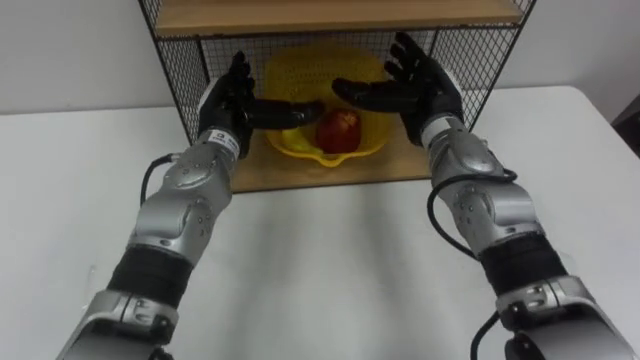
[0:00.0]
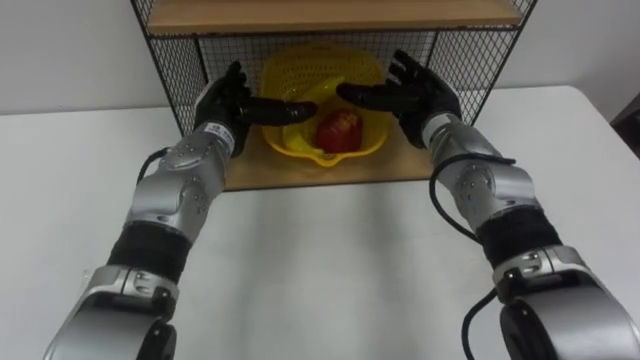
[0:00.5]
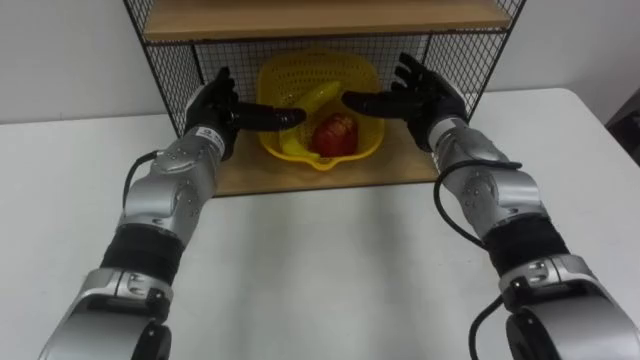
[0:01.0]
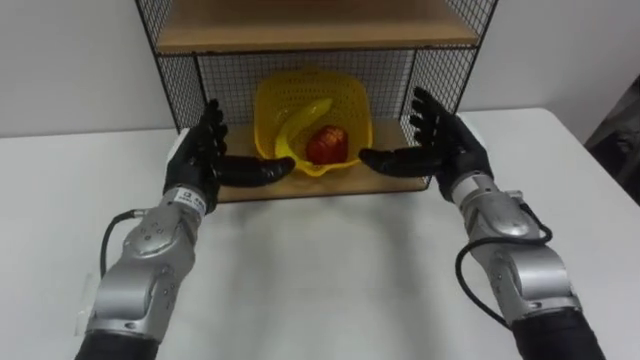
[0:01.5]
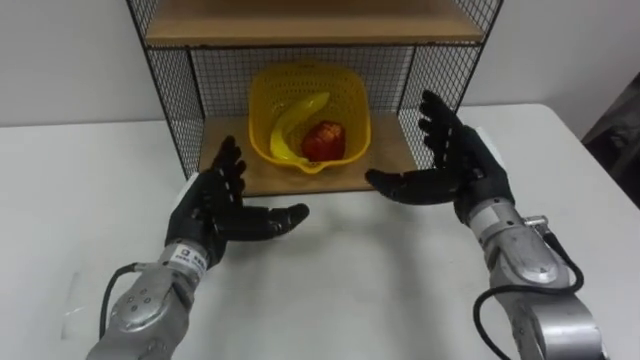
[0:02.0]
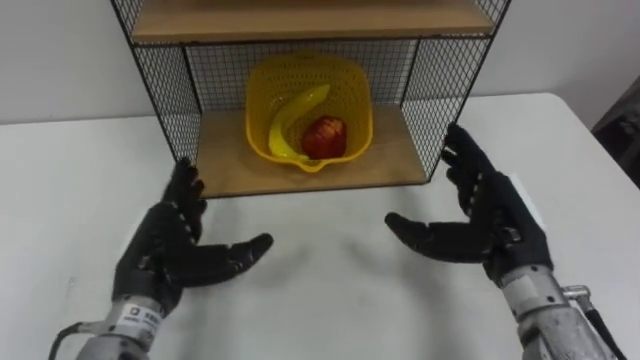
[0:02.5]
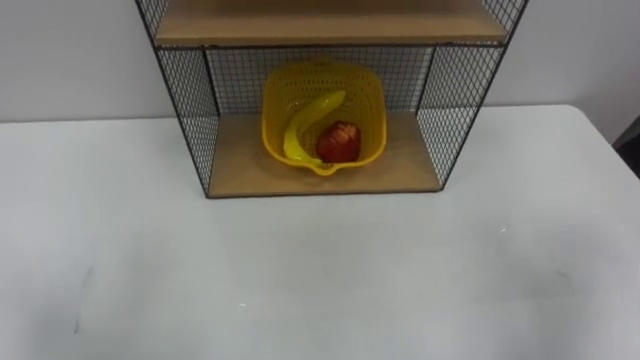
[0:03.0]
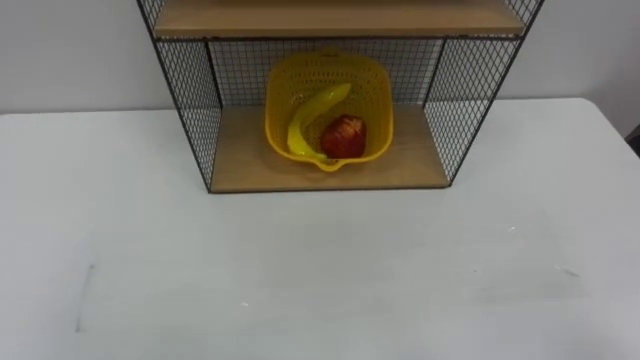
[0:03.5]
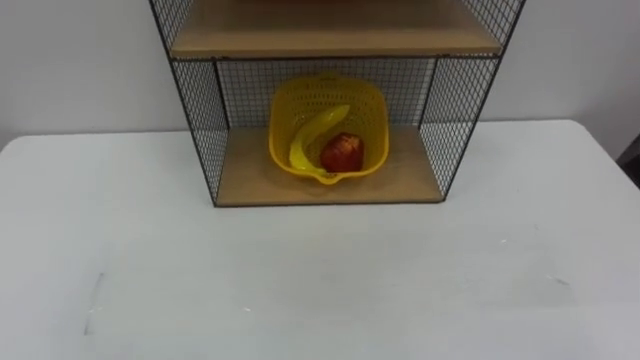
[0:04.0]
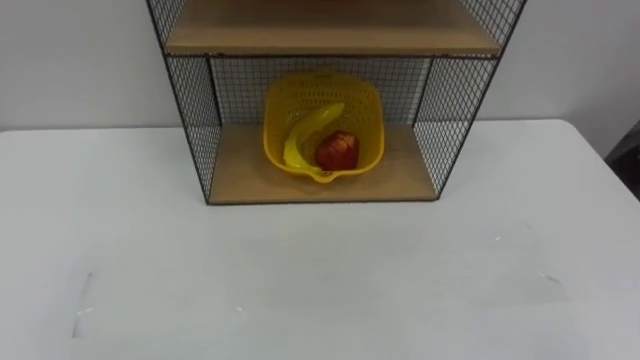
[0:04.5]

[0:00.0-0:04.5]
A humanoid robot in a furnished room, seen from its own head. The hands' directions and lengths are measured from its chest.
Task of the whole recording: Put the fruit on the table into the basket, then place the basket on the shelf.
0:00.0 to 0:02.0: The right hand travels backward and to the right by some 10 cm, while the left hand shifts roughly 15 cm backward and downward.

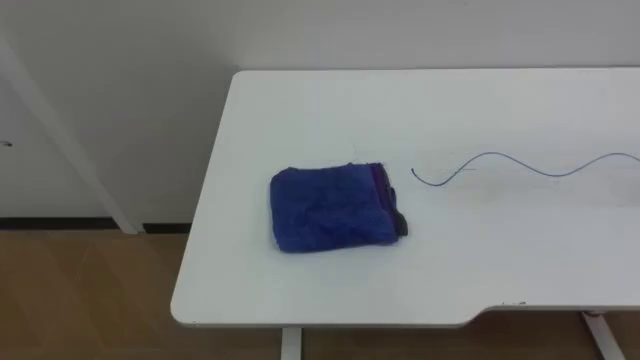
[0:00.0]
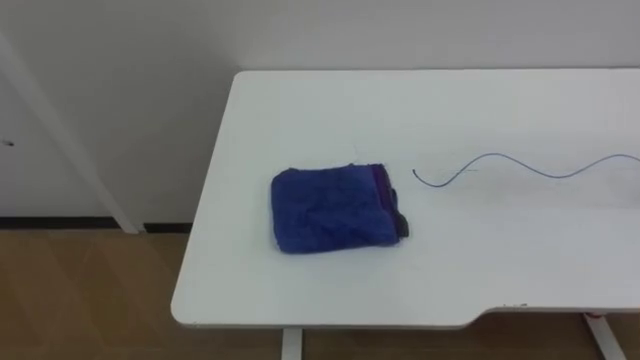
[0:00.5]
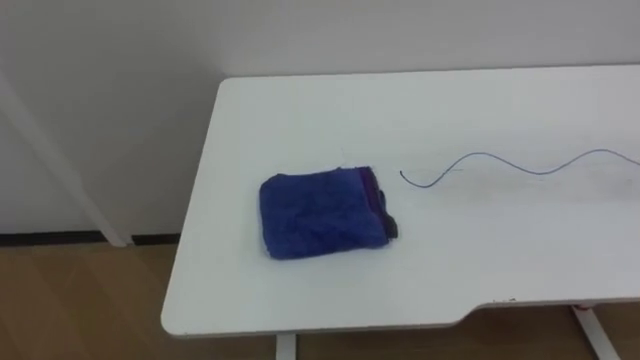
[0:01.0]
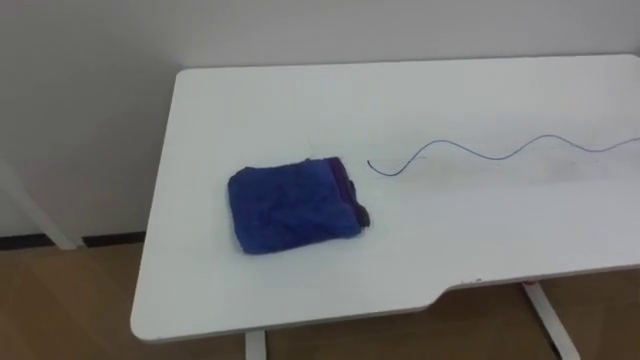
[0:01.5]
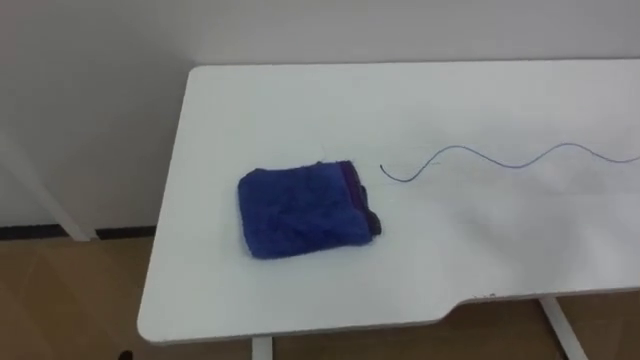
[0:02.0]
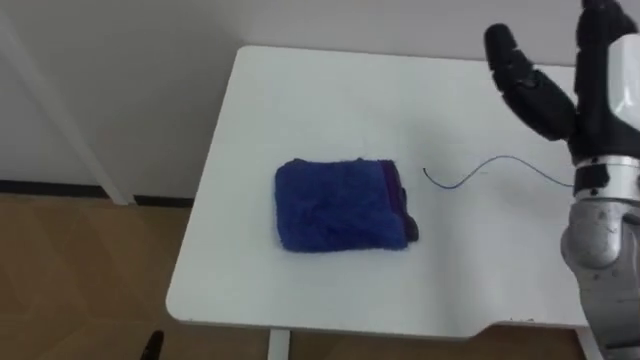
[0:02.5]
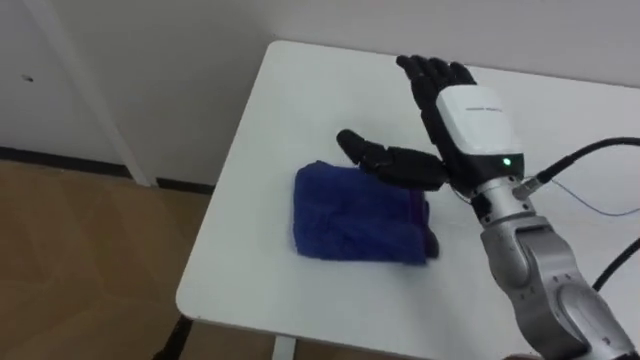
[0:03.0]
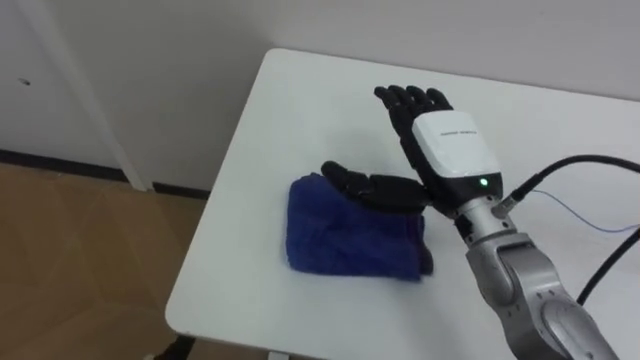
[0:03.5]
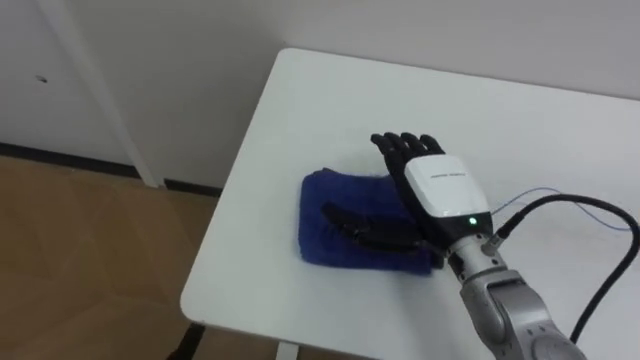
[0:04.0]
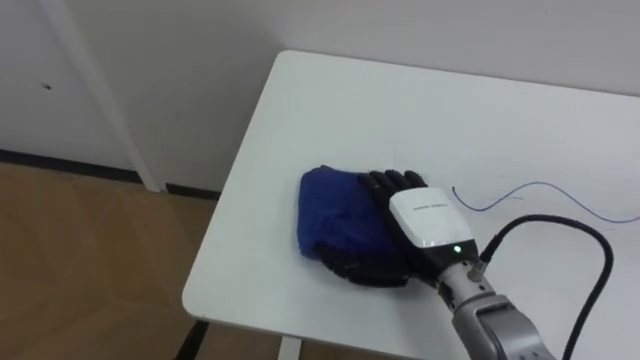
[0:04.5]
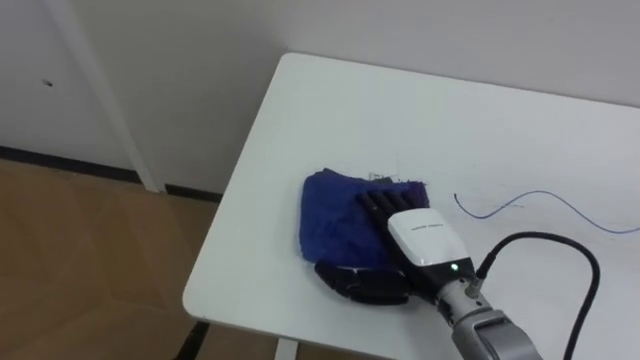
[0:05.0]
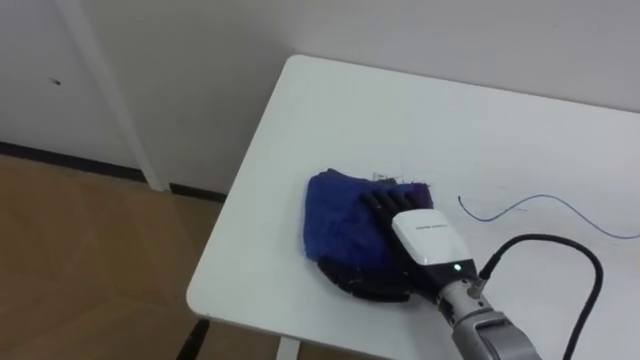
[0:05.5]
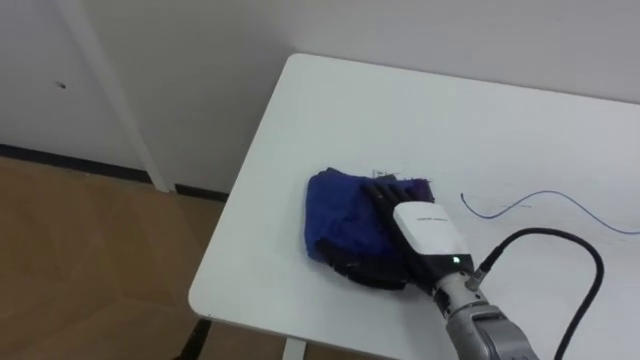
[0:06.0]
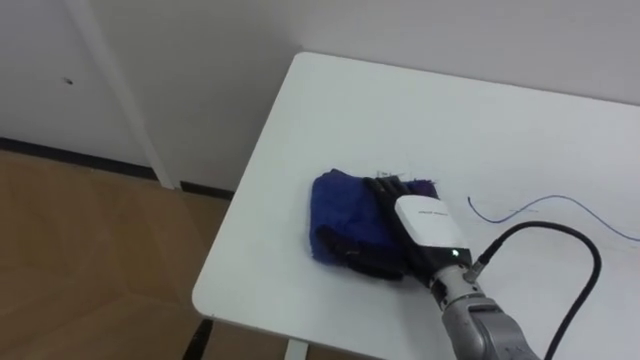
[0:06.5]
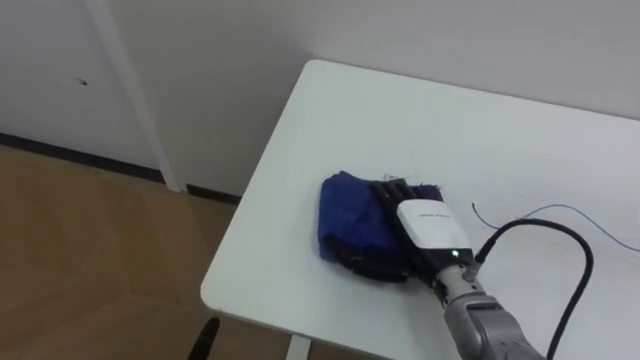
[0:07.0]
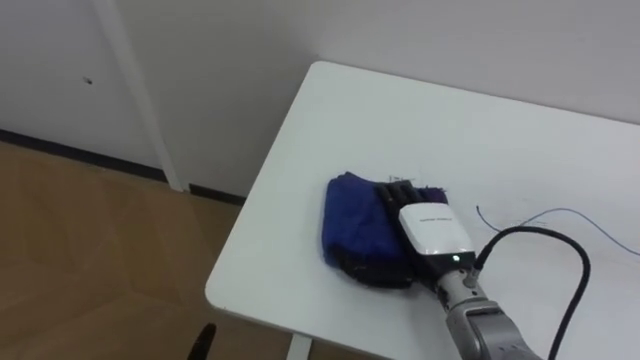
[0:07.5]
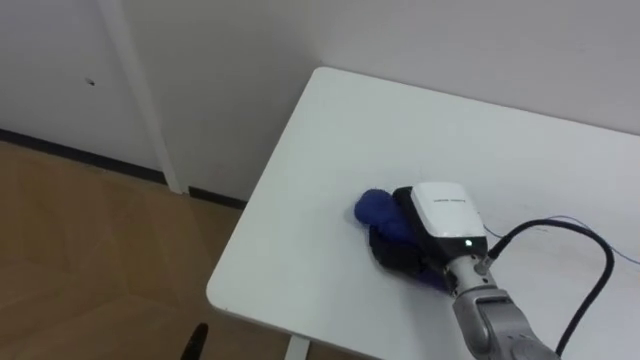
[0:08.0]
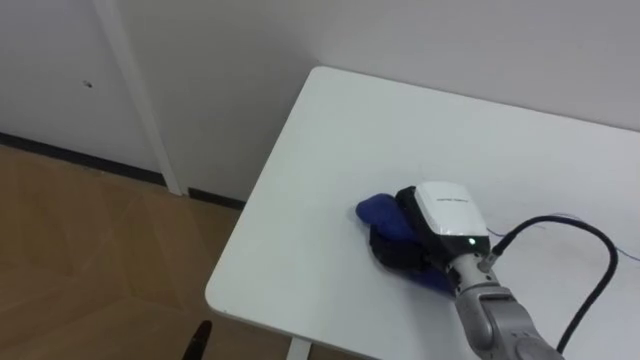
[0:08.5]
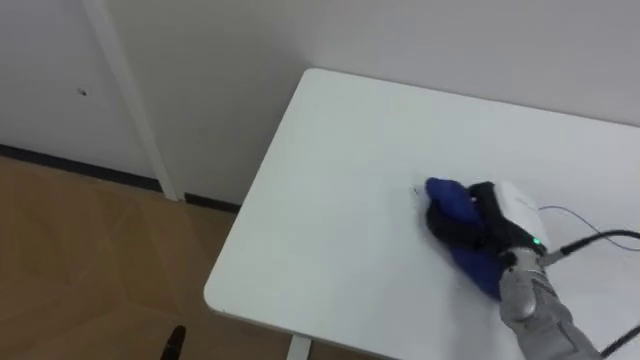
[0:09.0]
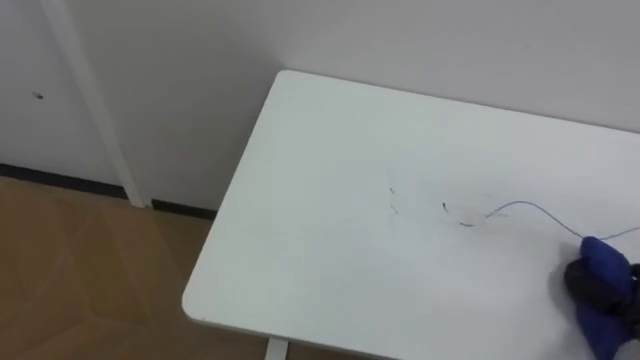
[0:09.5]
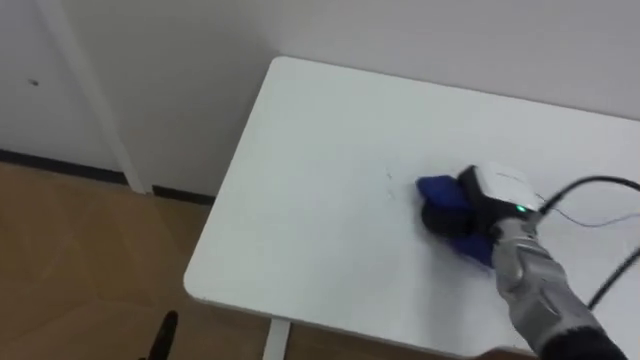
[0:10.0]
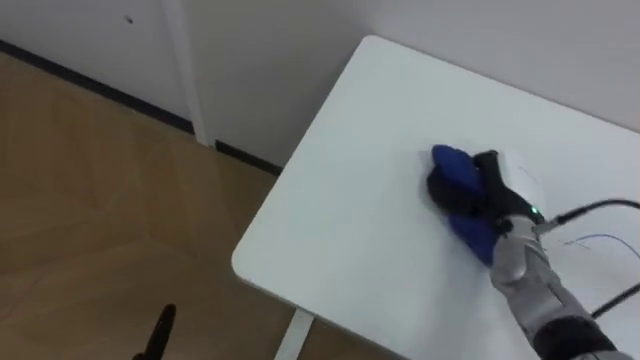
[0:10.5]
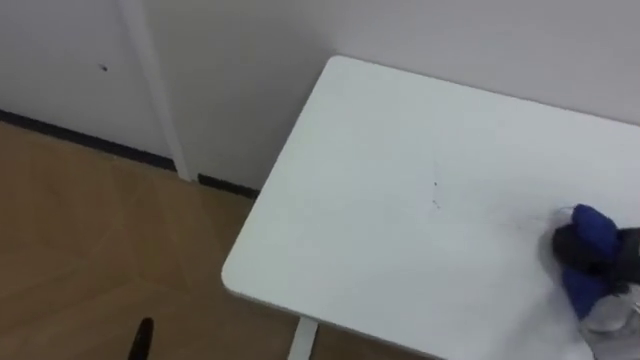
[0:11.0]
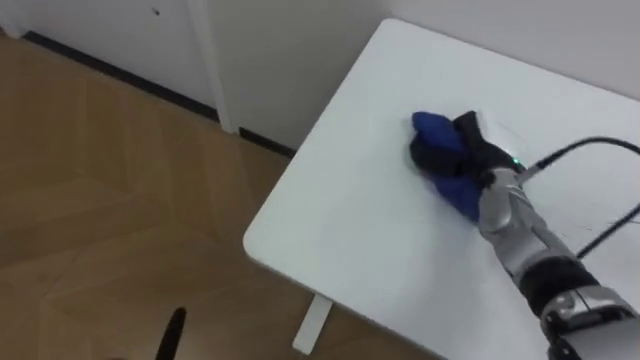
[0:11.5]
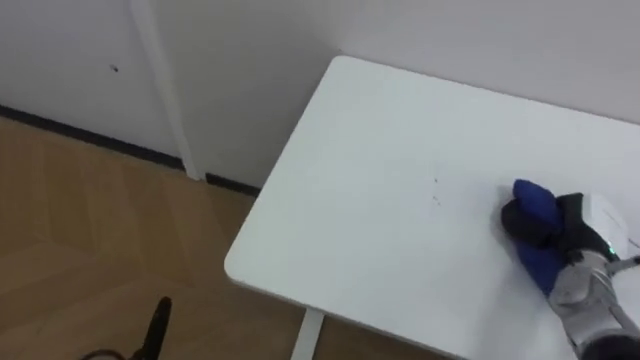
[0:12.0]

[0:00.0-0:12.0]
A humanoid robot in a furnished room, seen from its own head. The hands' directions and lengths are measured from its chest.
Task of the whole recording: Wipe the blue pen marks off the table with the rag.
0:04.0 to 0:06.0: The right hand goes some 5 cm downward.
0:06.0 to 0:08.0: The right hand closes its fingers.

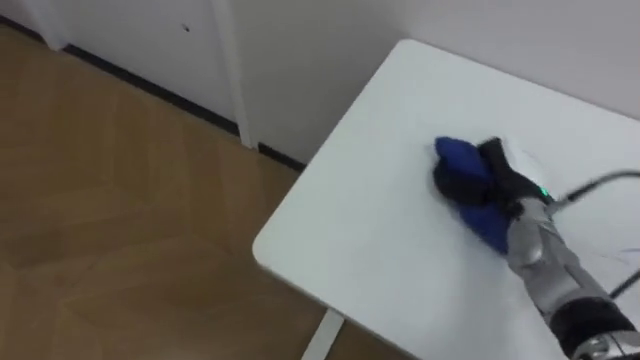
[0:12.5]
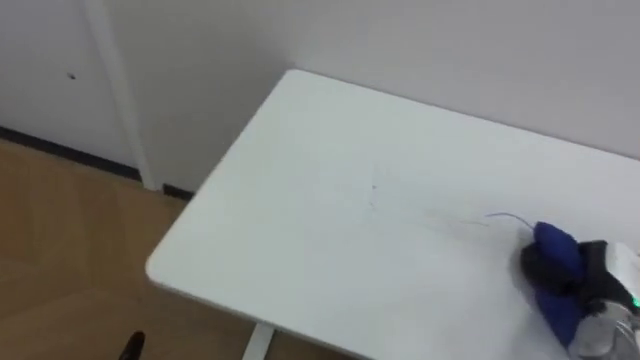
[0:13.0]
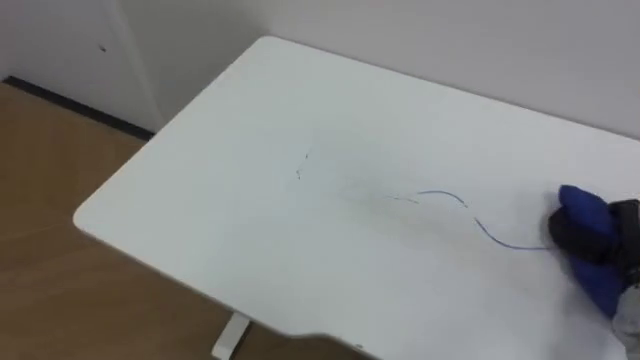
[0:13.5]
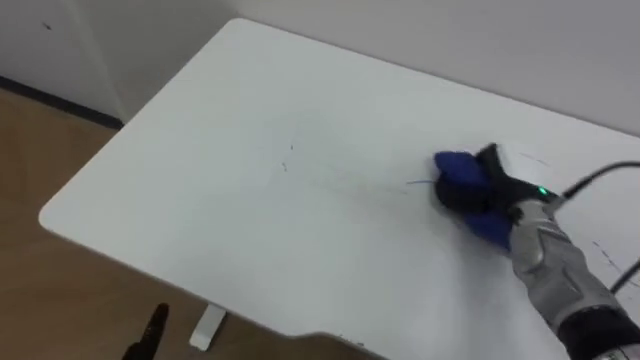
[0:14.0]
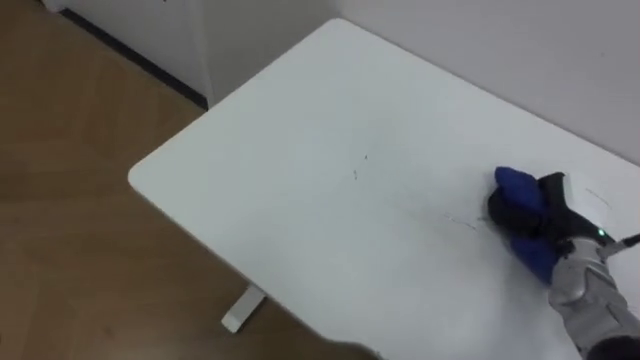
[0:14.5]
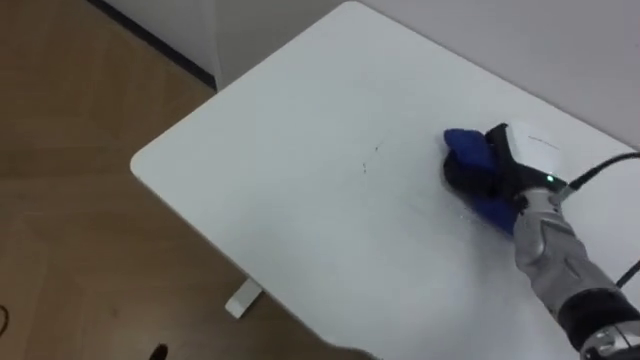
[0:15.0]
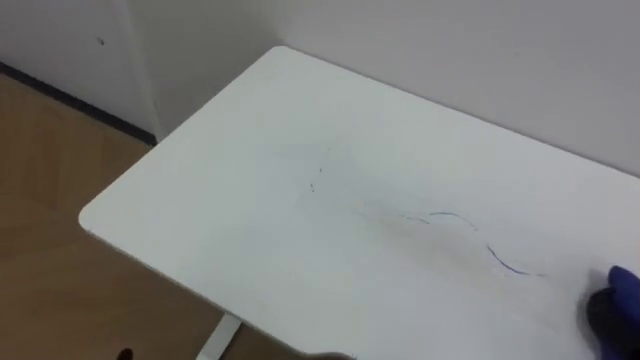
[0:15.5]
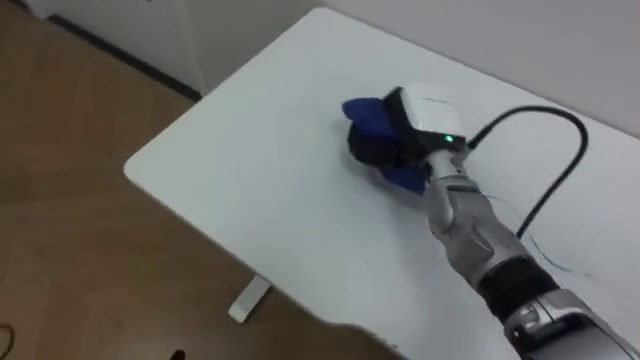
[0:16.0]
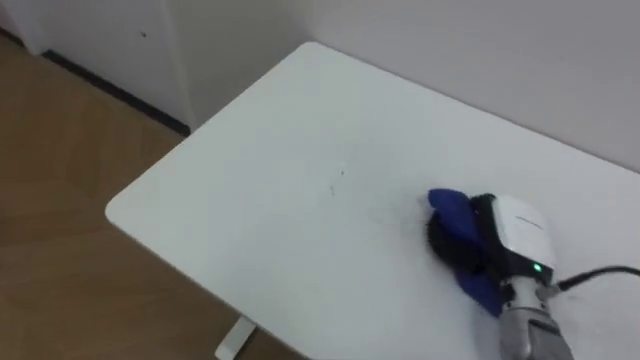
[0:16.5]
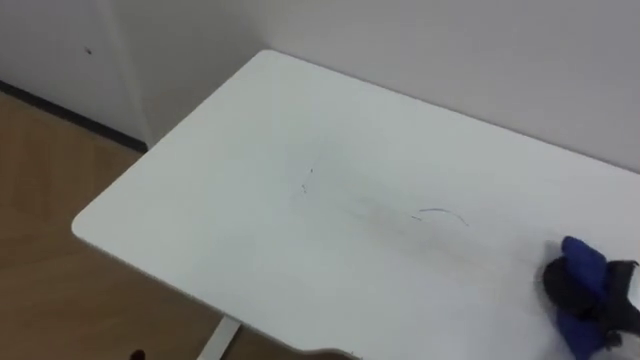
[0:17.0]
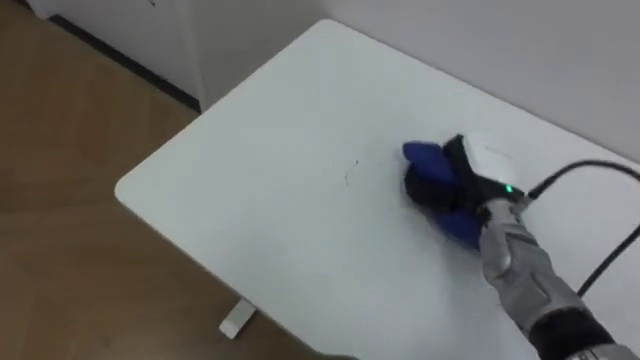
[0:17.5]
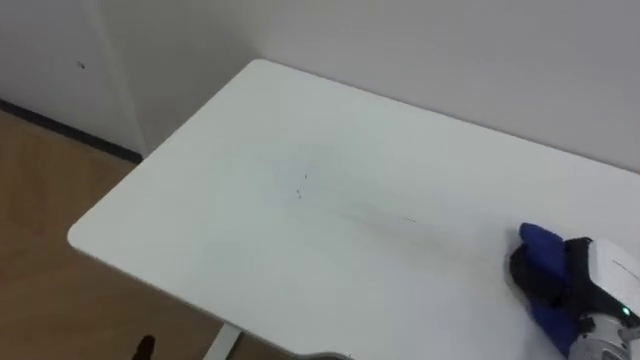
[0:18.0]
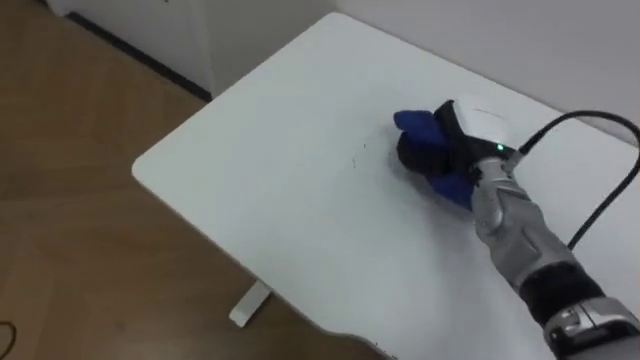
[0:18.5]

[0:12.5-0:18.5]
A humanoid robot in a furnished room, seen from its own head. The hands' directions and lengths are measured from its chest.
Task of the whole recording: Wipe the blue pen marks off the table with the rag.
0:16.5 to 0:18.5: The right hand goes forward and backward, some 20 cm each way, reversing 3 times.
